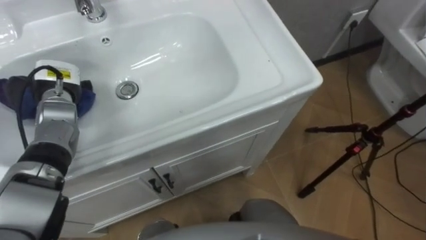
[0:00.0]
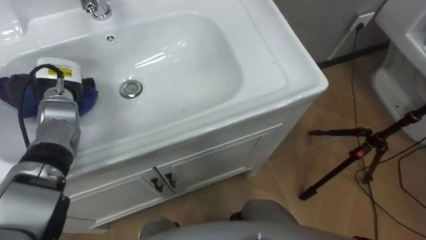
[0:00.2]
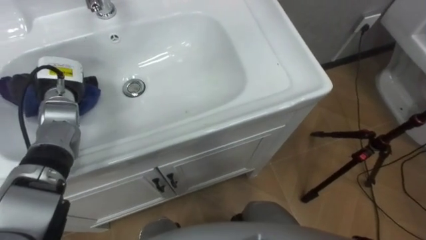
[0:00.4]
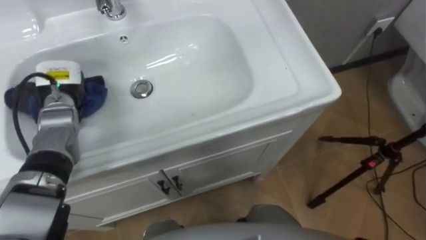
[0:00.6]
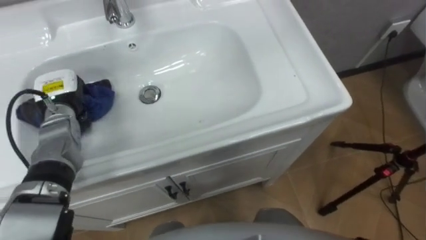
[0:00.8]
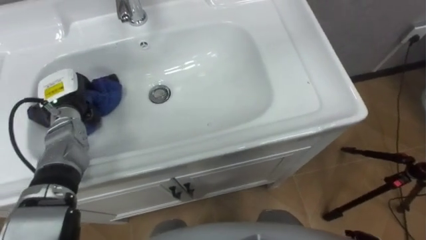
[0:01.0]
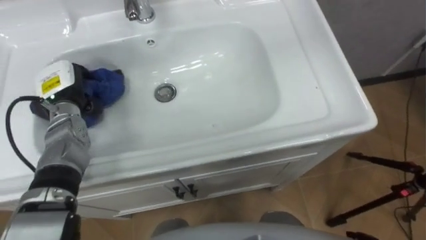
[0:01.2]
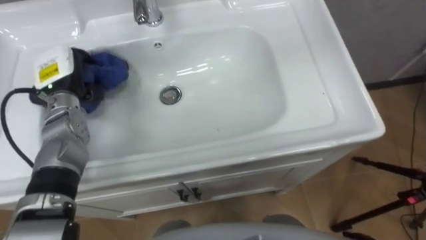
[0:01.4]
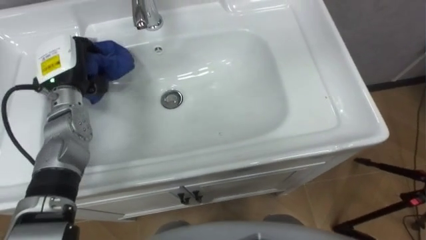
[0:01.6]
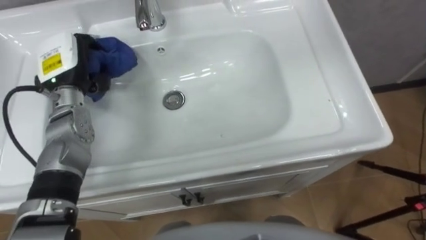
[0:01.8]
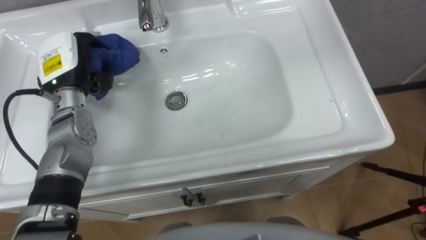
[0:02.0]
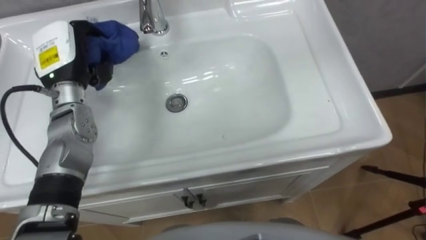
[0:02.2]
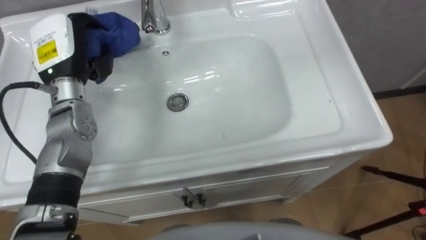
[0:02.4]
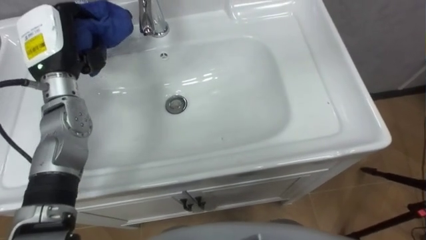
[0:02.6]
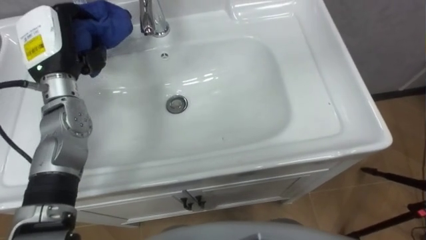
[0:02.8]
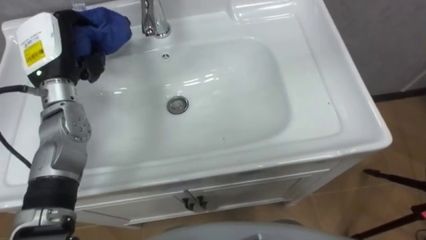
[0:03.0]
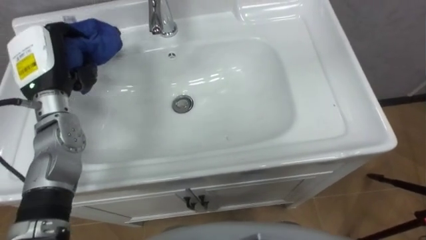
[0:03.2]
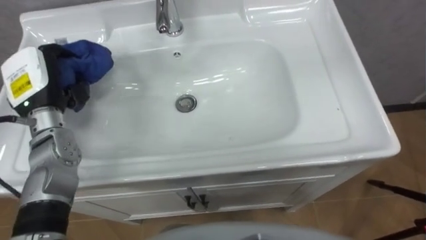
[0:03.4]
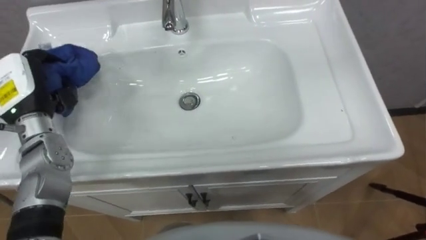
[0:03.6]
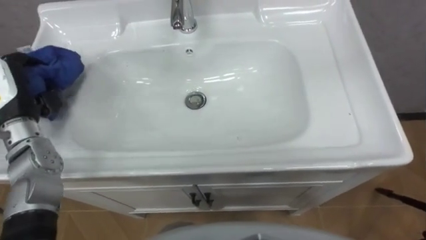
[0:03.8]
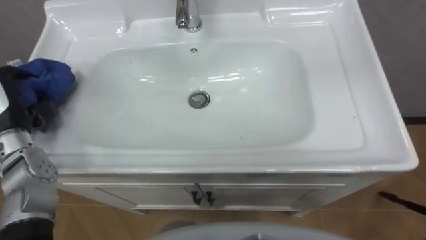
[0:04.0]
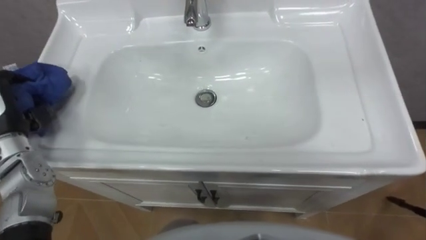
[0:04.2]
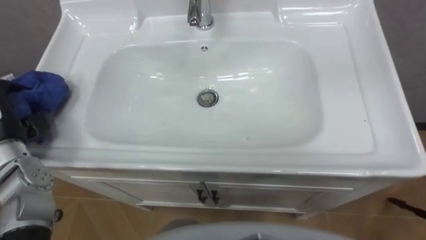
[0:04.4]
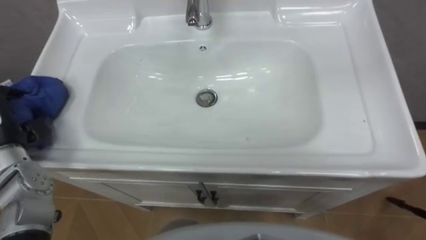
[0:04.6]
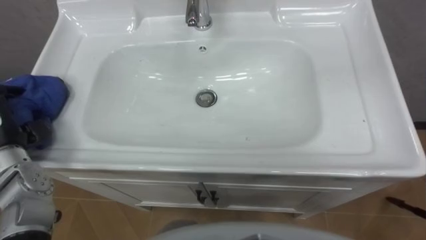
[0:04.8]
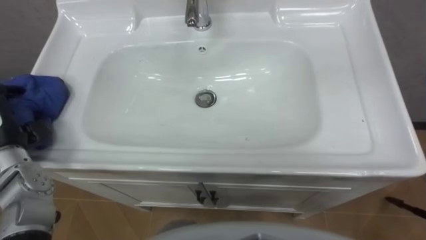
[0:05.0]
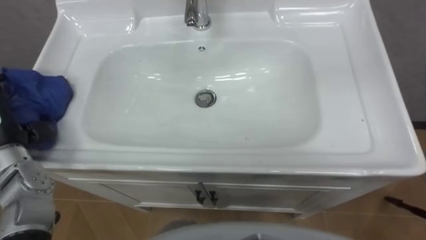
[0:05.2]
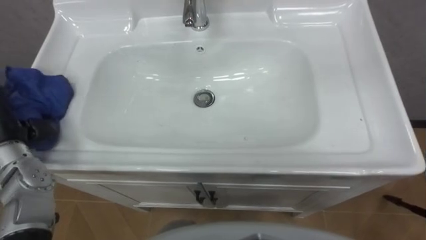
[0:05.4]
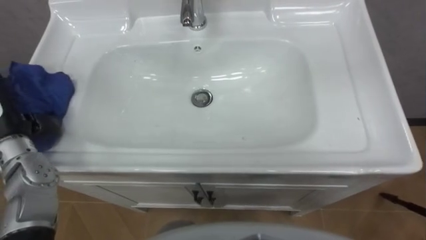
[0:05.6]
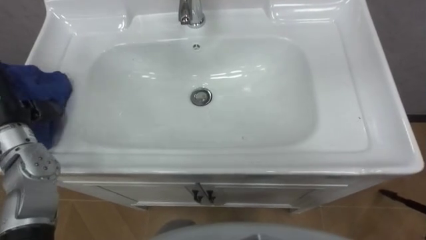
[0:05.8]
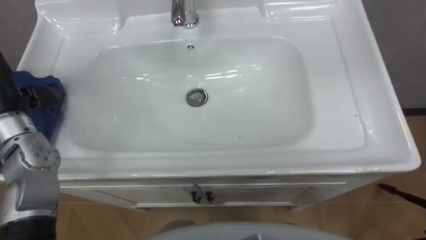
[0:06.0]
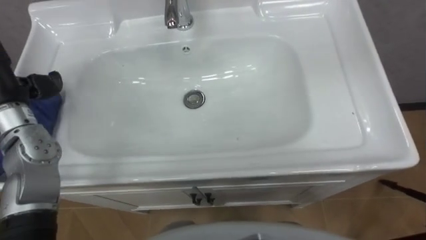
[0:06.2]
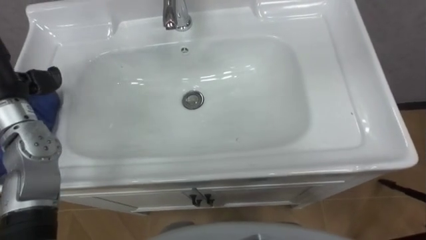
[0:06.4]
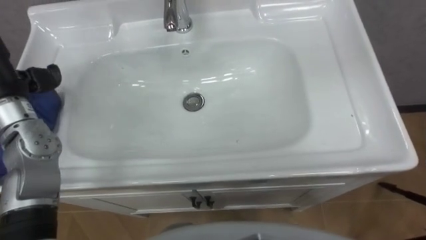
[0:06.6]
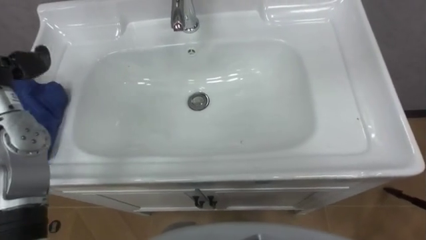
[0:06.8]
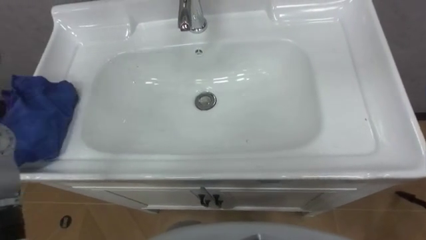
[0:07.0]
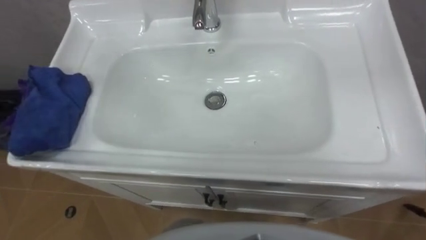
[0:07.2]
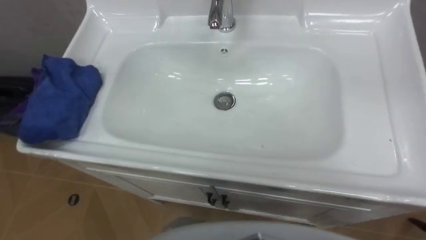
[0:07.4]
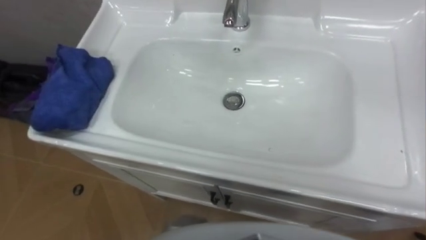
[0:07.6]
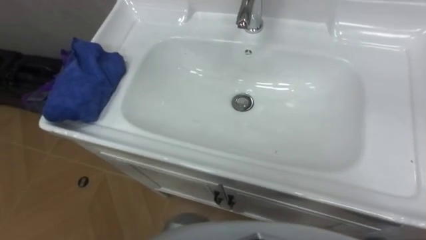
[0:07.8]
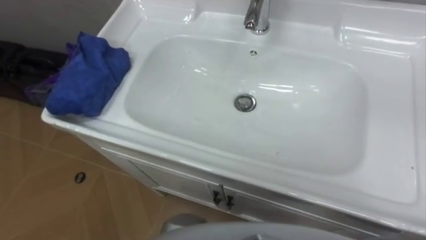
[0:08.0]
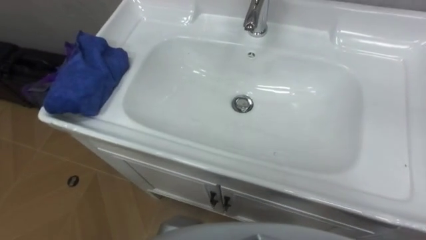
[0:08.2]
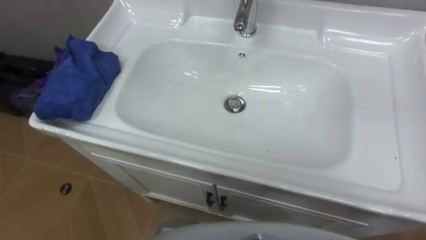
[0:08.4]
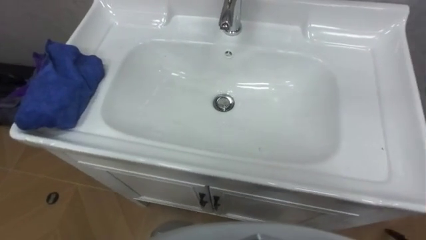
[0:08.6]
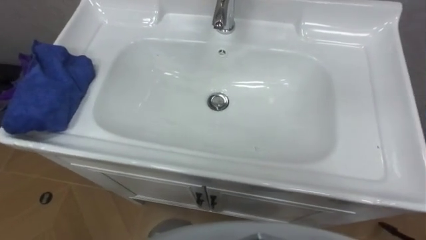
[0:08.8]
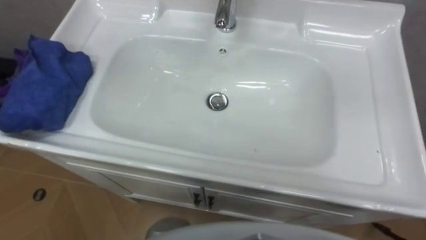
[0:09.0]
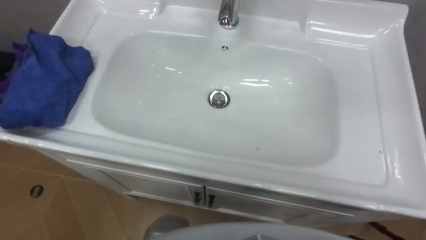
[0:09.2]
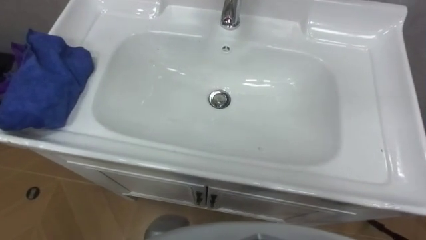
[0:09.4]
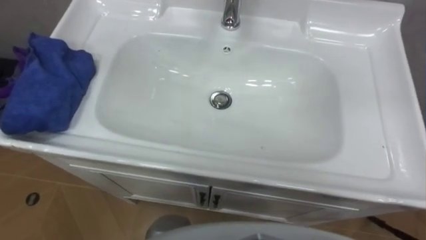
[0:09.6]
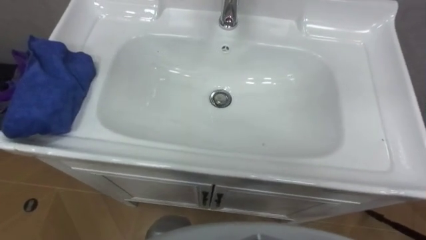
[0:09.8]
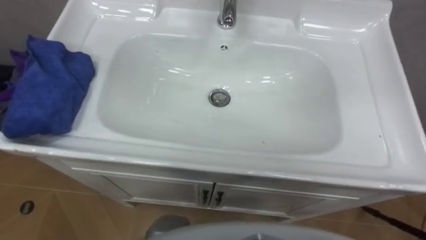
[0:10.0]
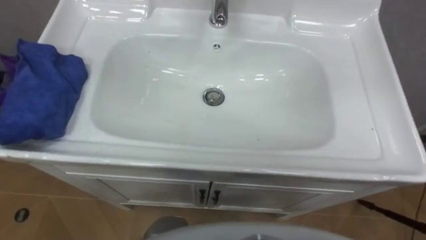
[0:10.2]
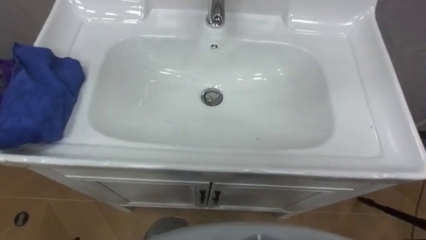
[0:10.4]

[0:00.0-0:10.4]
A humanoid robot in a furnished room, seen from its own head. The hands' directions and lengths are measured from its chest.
Task of the whole recording: Use the cloth on the right to wipe away the black stain in the sink.
0:01.4 to 0:03.0: The left hand moves upward, approximately 5 cm.

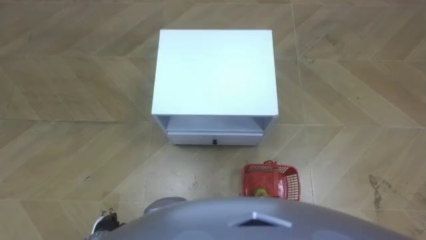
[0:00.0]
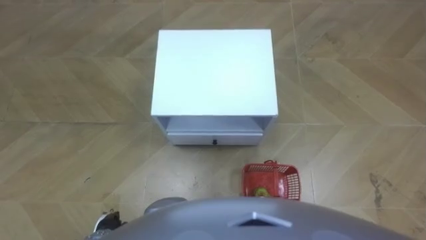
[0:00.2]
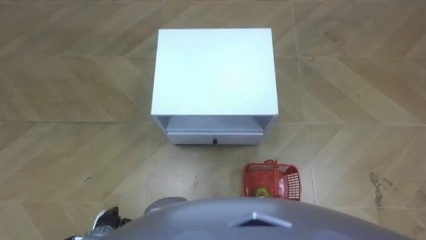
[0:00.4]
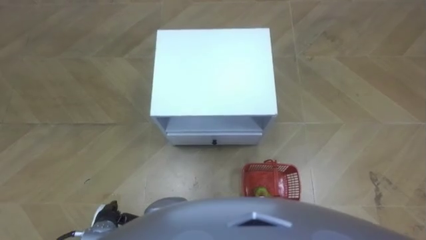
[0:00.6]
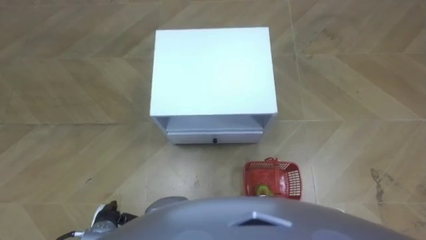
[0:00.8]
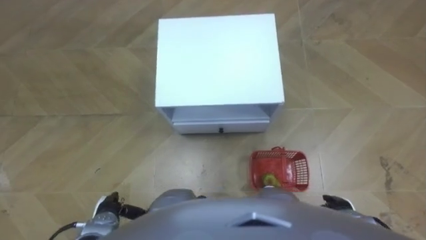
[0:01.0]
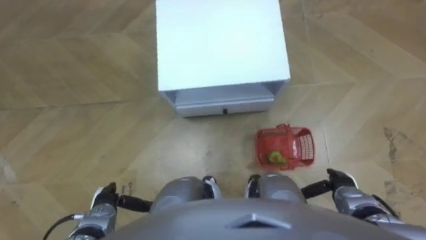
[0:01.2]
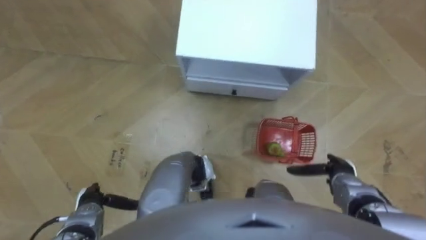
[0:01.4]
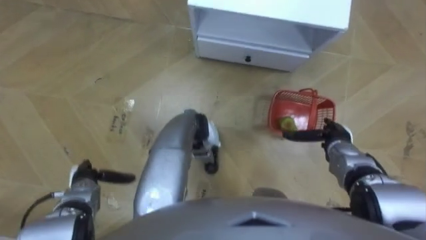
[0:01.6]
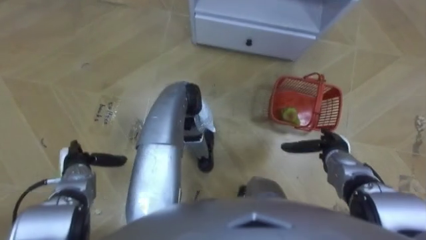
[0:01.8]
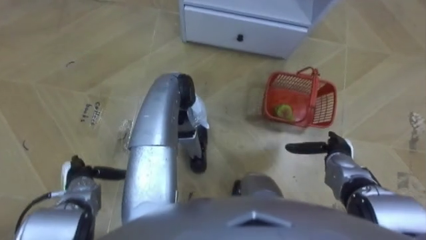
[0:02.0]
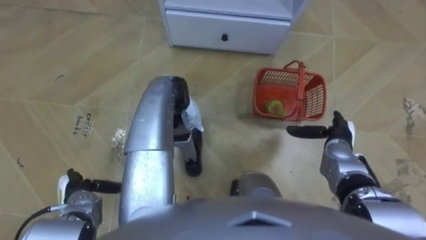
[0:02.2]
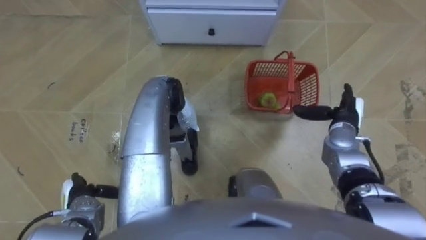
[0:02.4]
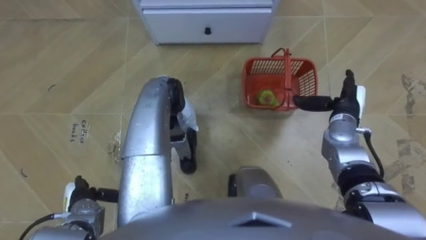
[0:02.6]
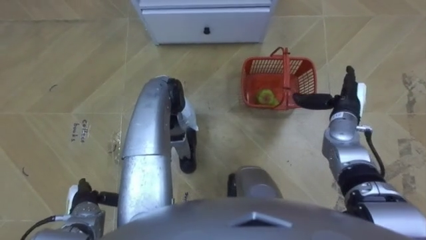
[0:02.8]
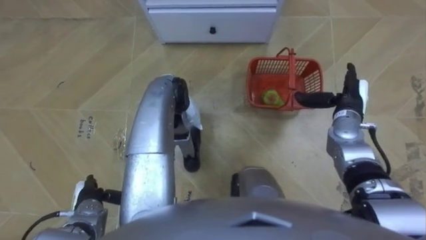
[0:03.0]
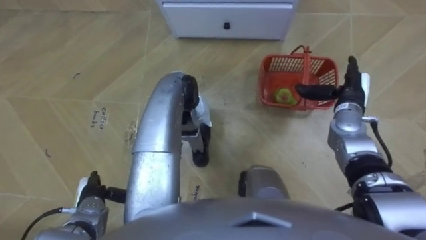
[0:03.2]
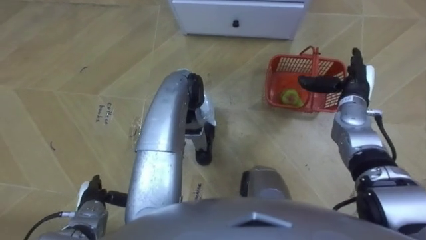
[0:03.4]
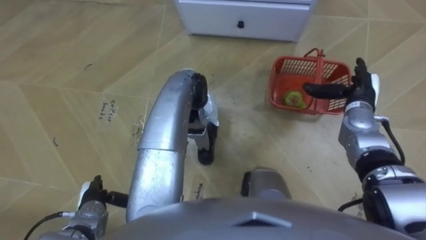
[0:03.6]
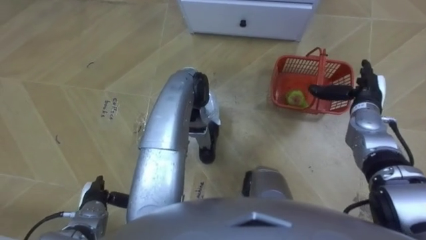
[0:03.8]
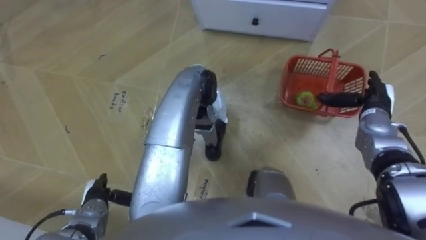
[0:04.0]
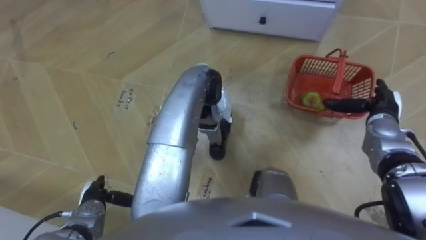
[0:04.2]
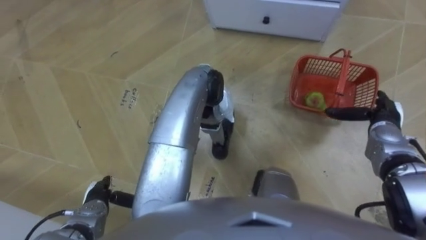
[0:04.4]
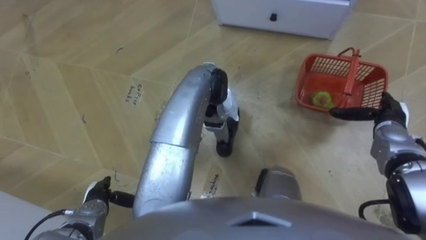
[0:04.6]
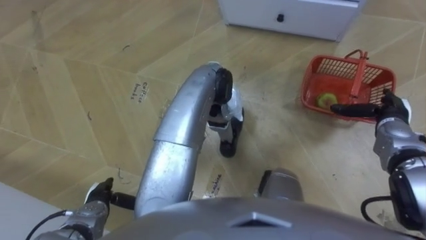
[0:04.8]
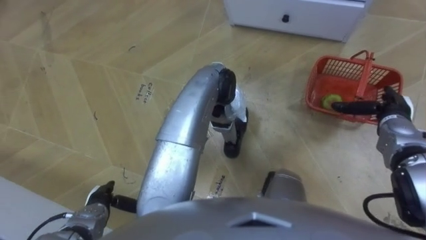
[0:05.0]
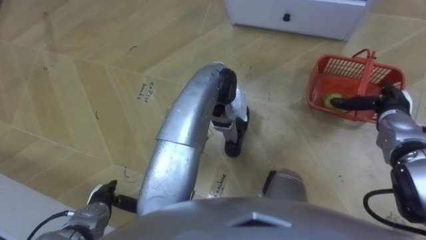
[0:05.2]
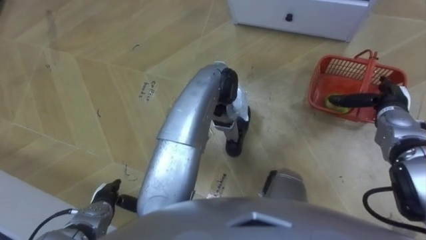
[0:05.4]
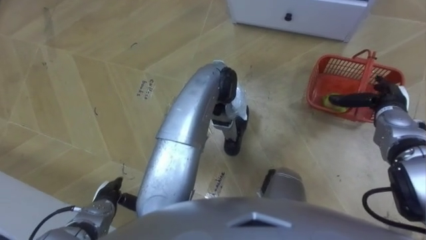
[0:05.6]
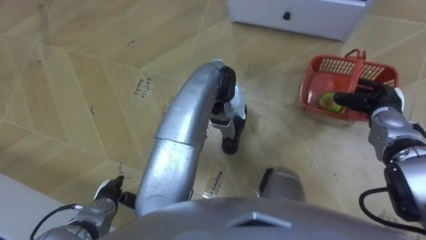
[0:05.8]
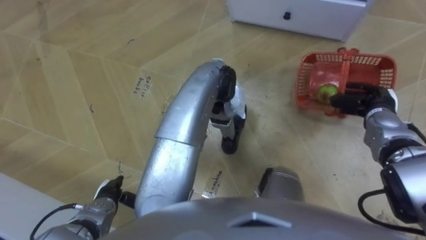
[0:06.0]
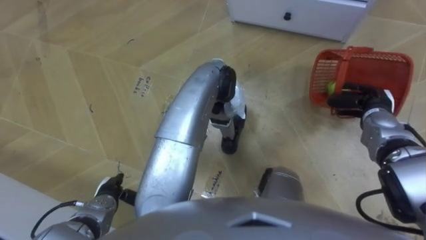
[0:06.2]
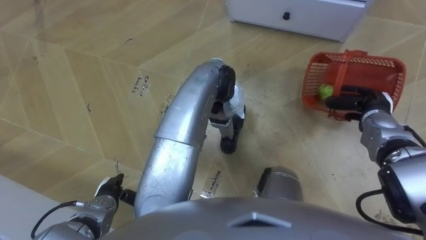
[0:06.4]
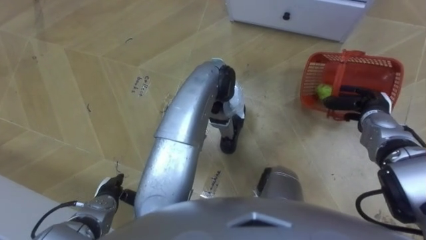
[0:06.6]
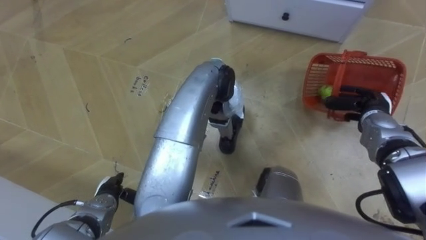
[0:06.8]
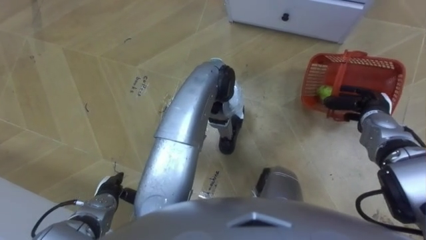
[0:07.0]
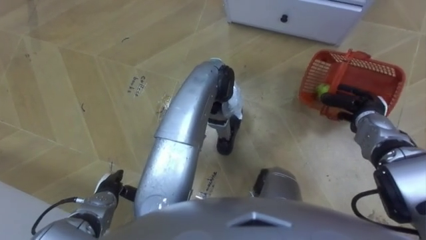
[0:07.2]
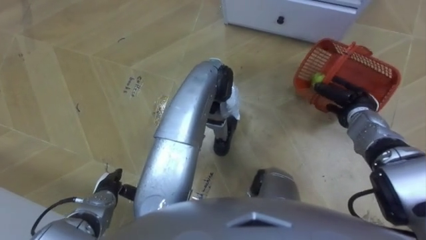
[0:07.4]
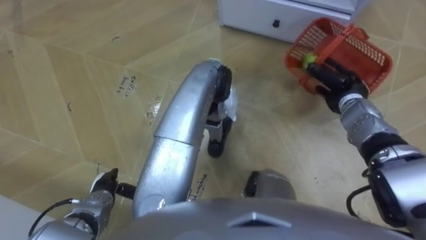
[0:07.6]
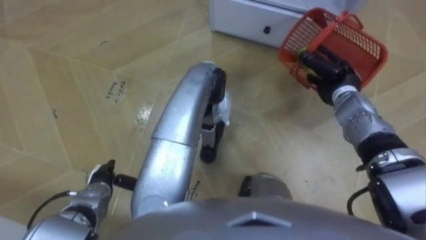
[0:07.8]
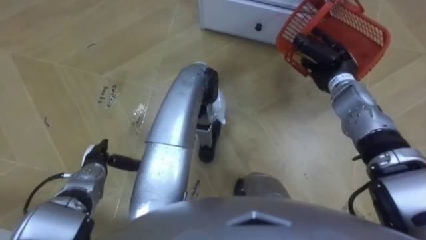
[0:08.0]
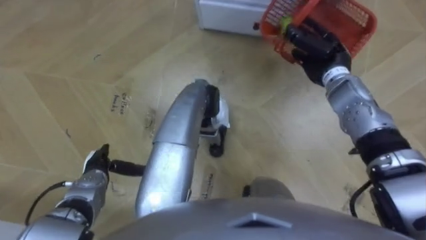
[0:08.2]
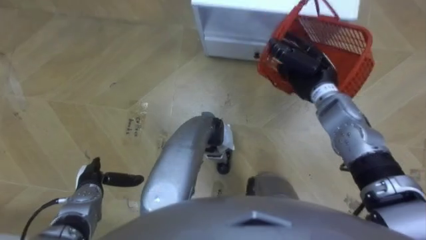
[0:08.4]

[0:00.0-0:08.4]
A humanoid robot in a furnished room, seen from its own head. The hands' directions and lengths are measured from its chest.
Task of the whole recording: Pick up the fruit basket from the floor and place it on the cabinet.
0:01.4 to 0:02.8: The left hand reaches roughly 10 cm forward, then returns. Meanwhile the right hand shifts some 20 cm forward and upward.
0:02.8 to 0:04.2: The right hand is displaced to the right by some 5 cm.
0:05.6 to 0:07.0: The right hand closes.
0:07.0 to 0:08.4: The right hand goes roughly 15 cm to the left, upward and forward.
